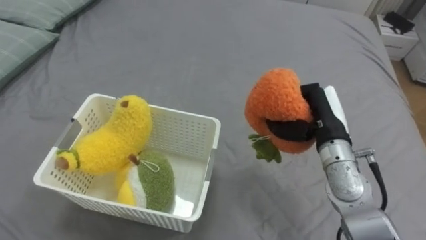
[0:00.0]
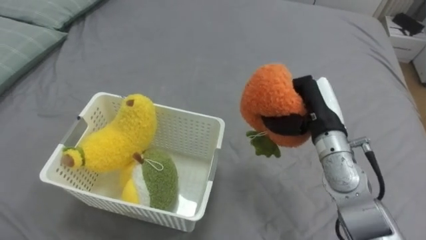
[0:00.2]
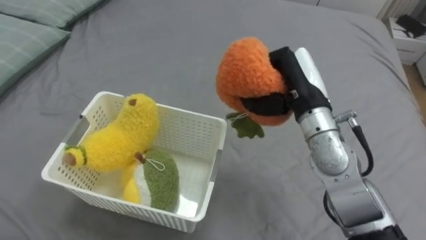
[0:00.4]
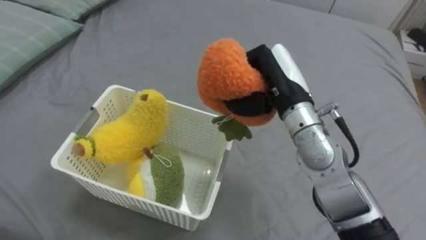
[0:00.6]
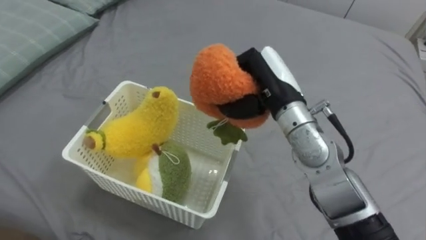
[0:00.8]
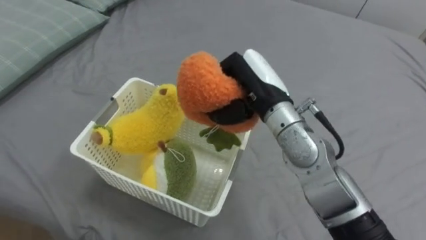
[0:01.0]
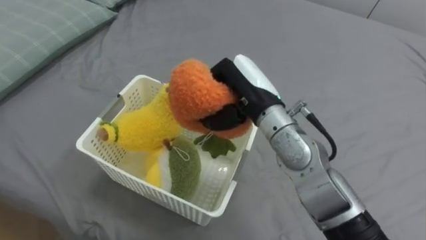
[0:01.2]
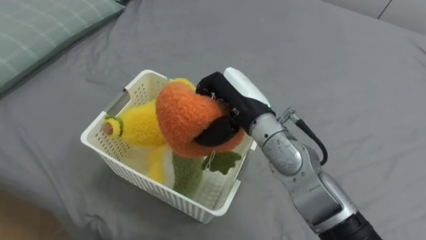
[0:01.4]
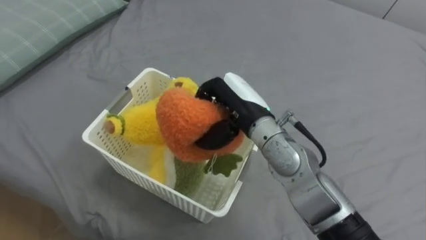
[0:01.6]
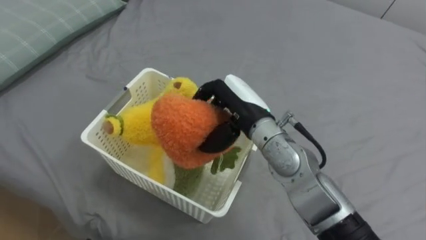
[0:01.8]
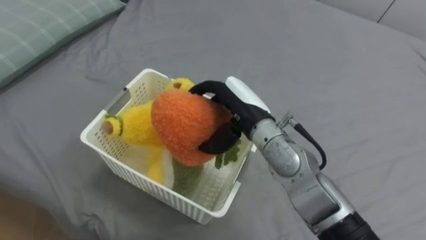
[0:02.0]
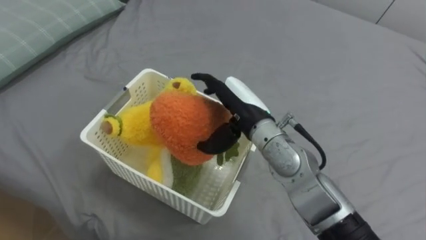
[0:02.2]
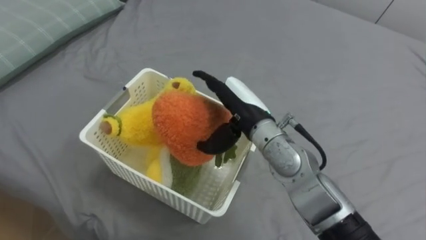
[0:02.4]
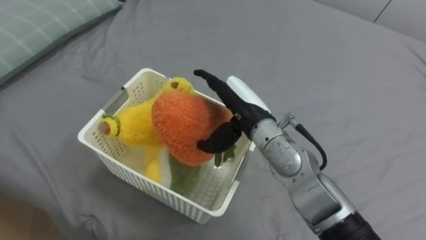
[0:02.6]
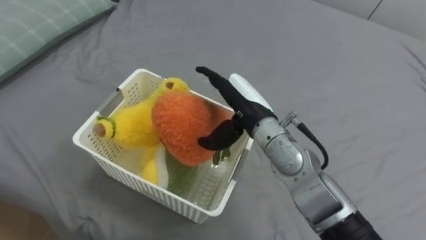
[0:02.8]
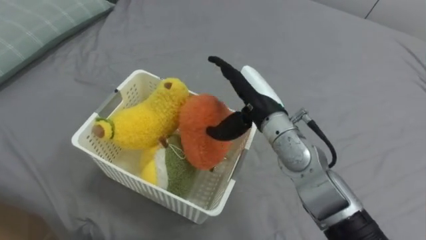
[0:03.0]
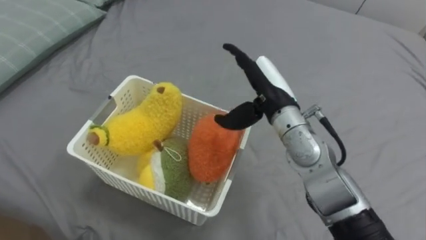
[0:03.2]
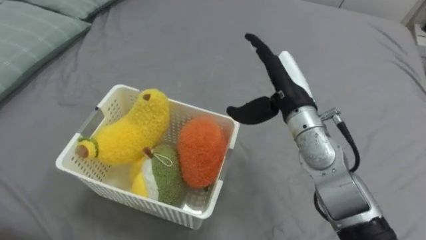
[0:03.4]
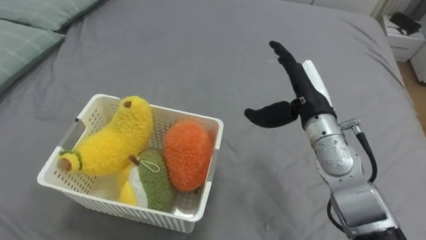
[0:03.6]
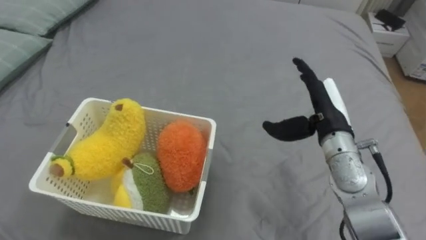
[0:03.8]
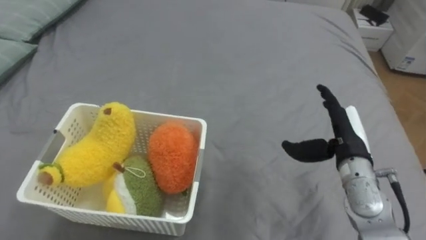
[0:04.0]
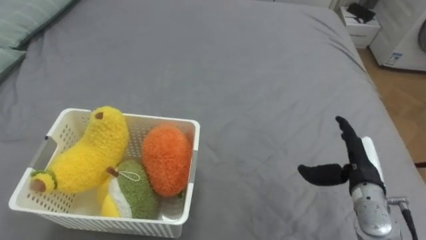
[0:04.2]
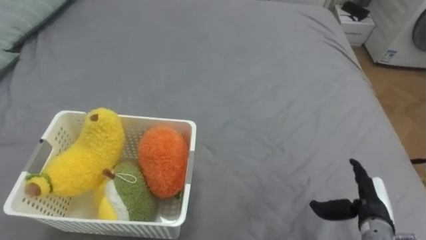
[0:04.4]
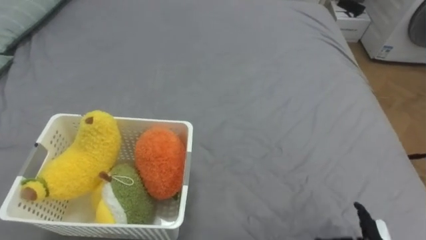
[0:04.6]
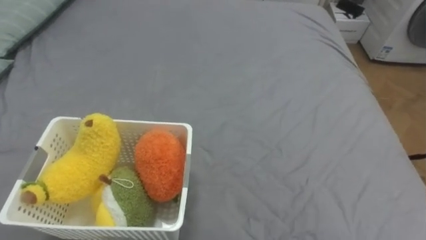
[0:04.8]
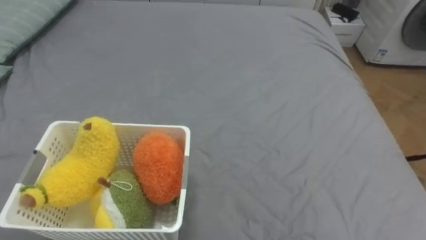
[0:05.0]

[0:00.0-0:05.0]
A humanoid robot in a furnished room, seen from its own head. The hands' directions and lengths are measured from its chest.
Task of the whole recording: Put the toys on the bed into the basket on the left.
0:00.0 to 0:01.6: The right hand travels to the left by approximately 15 cm.
0:01.6 to 0:03.4: The right hand is displaced to the right by some 5 cm, and opens up.

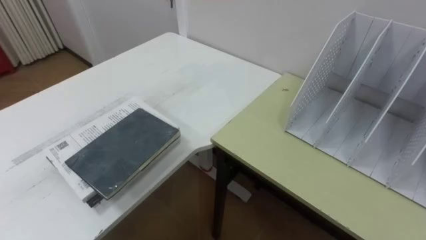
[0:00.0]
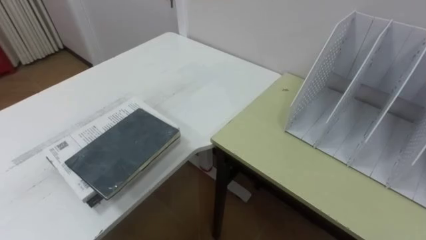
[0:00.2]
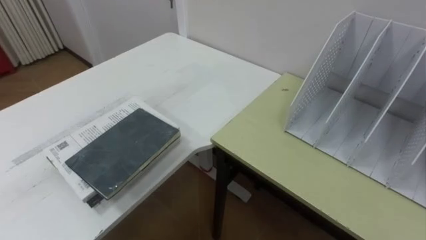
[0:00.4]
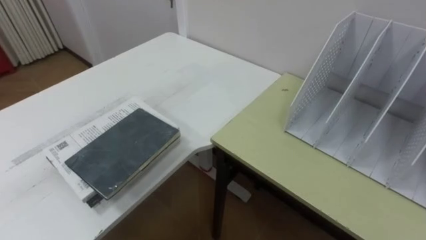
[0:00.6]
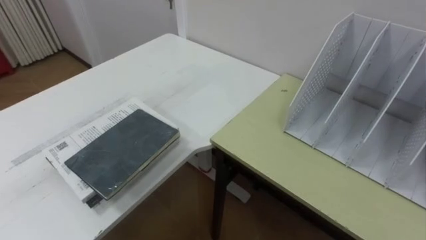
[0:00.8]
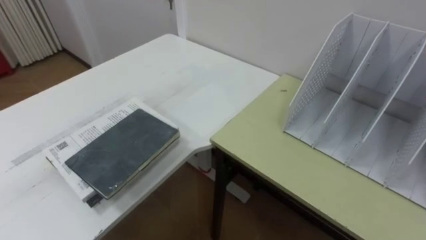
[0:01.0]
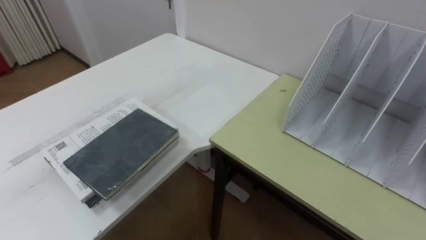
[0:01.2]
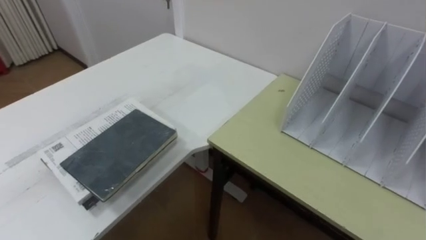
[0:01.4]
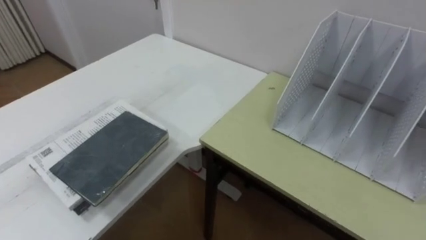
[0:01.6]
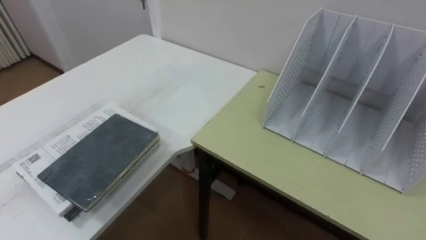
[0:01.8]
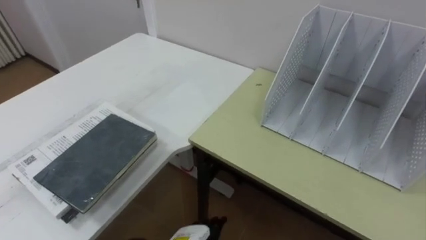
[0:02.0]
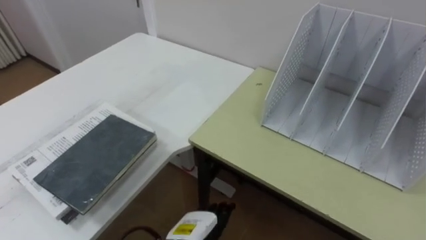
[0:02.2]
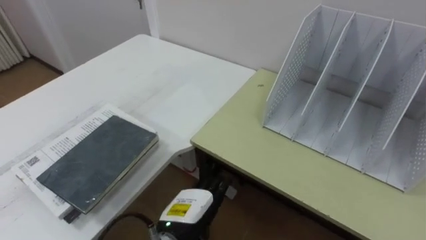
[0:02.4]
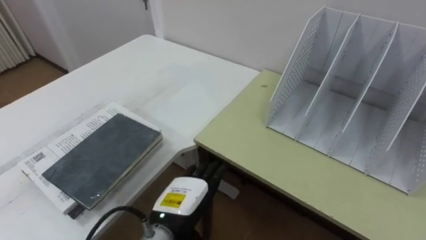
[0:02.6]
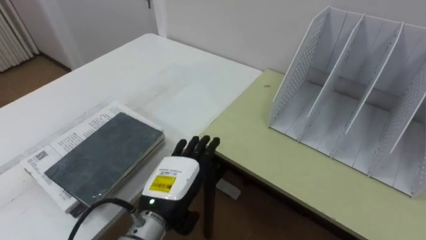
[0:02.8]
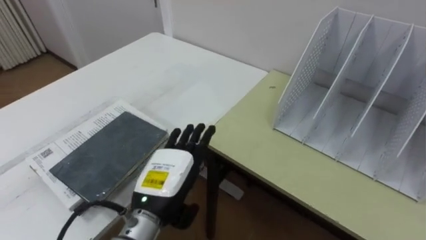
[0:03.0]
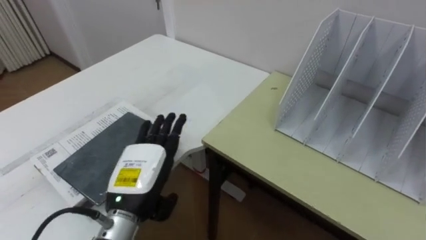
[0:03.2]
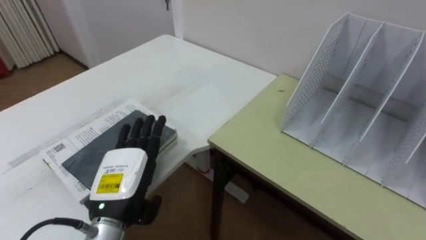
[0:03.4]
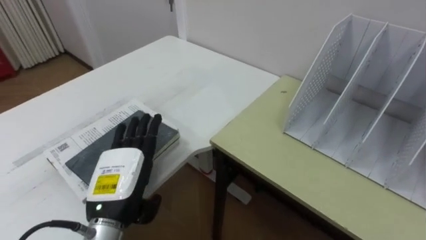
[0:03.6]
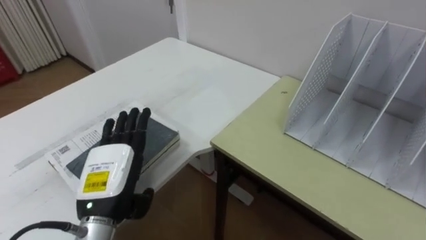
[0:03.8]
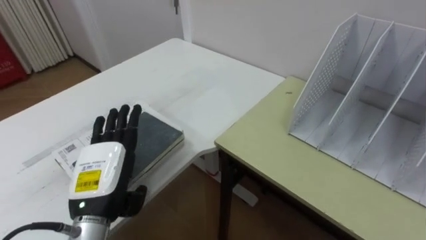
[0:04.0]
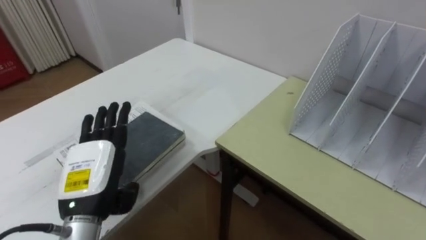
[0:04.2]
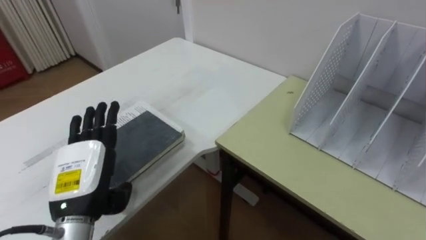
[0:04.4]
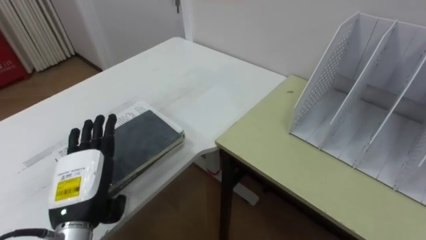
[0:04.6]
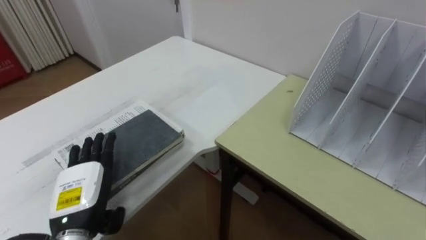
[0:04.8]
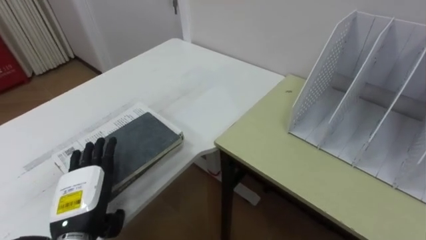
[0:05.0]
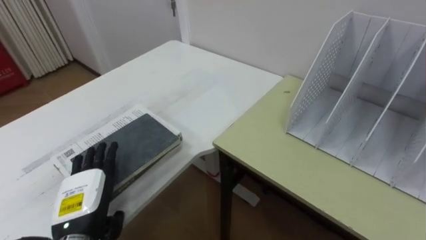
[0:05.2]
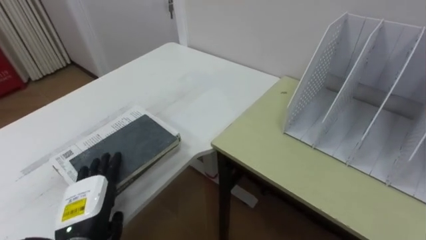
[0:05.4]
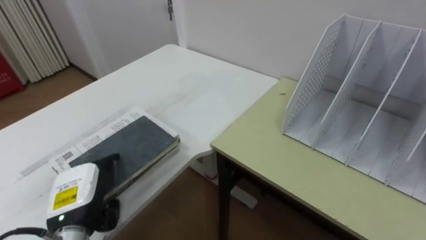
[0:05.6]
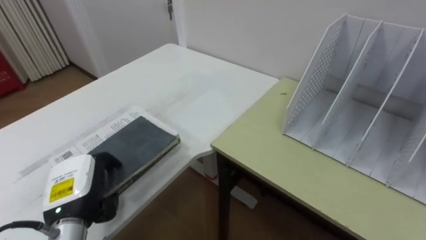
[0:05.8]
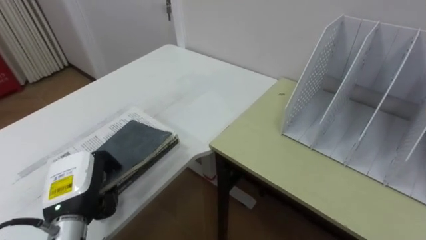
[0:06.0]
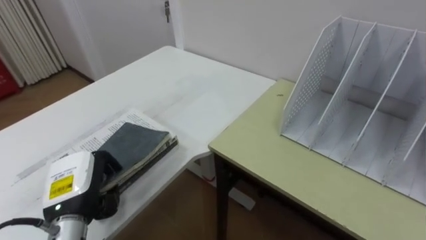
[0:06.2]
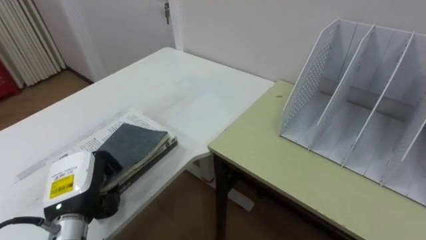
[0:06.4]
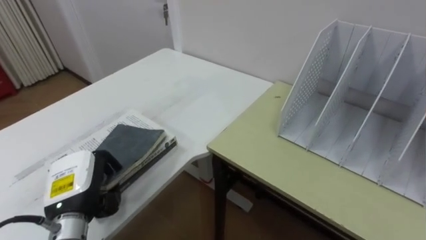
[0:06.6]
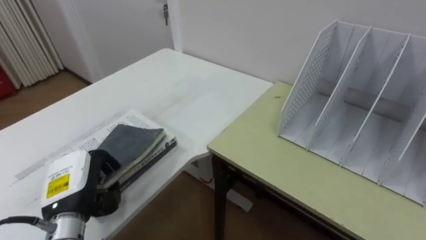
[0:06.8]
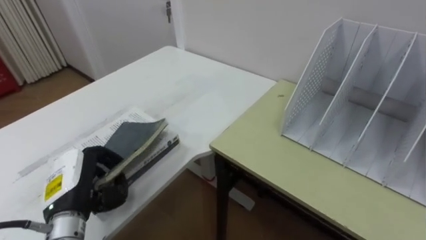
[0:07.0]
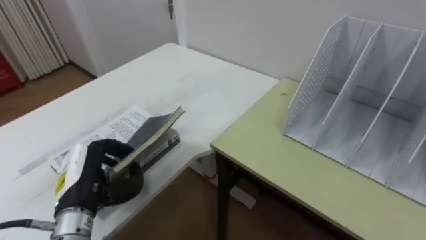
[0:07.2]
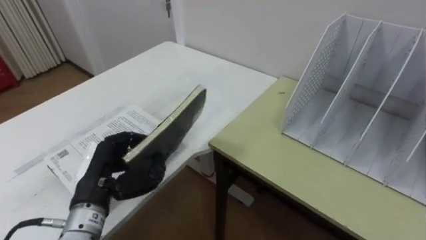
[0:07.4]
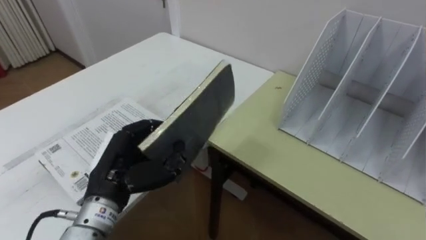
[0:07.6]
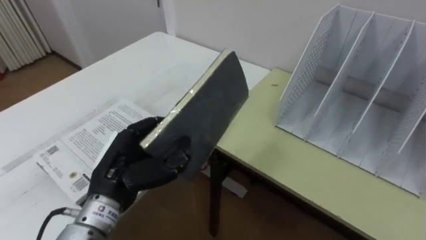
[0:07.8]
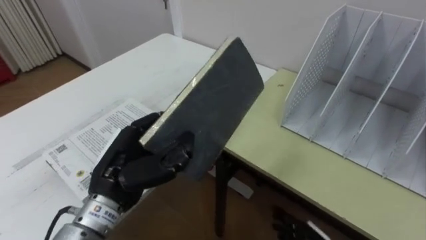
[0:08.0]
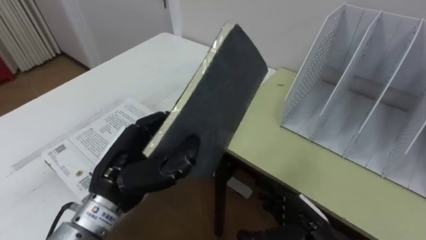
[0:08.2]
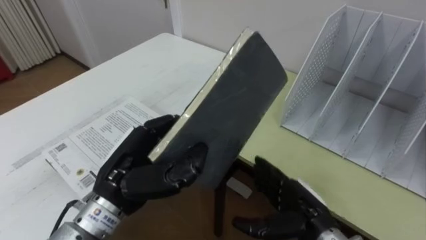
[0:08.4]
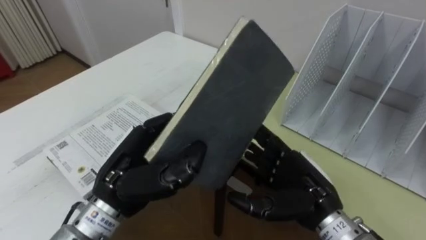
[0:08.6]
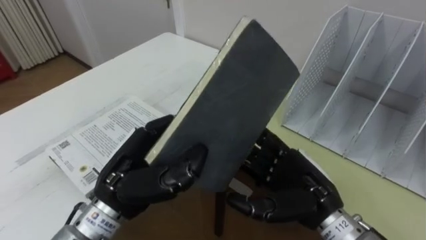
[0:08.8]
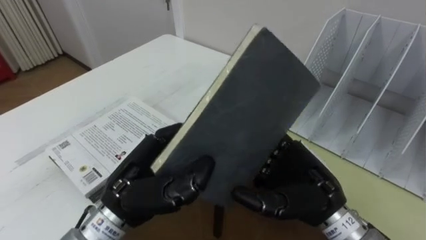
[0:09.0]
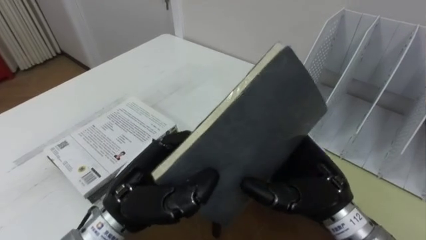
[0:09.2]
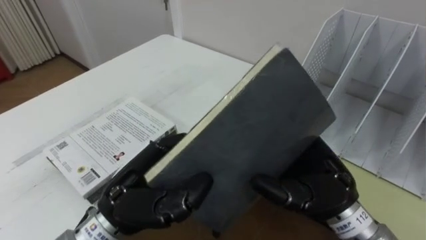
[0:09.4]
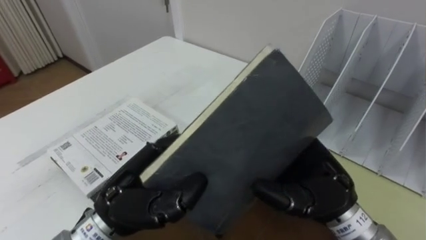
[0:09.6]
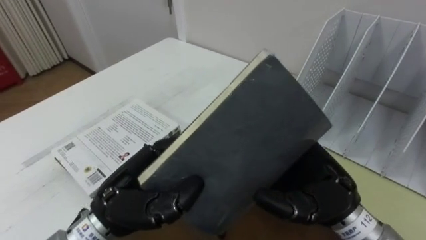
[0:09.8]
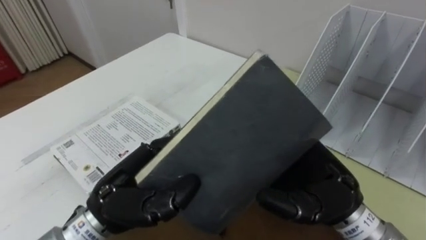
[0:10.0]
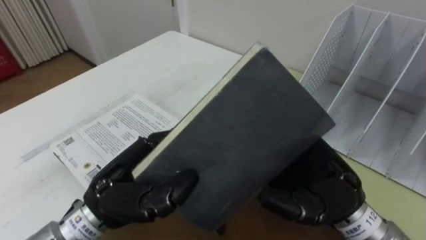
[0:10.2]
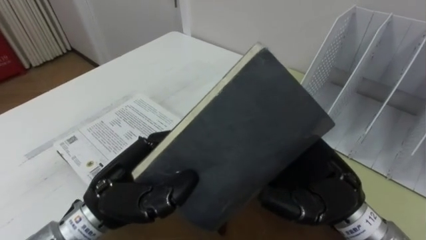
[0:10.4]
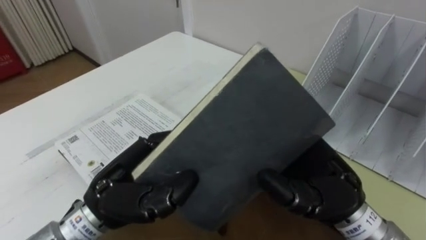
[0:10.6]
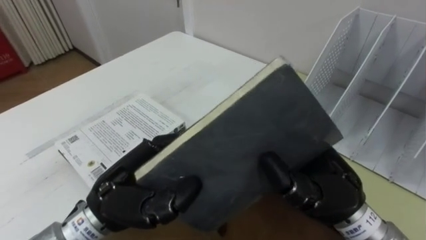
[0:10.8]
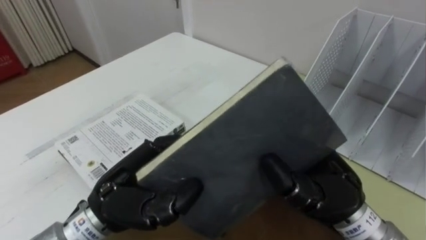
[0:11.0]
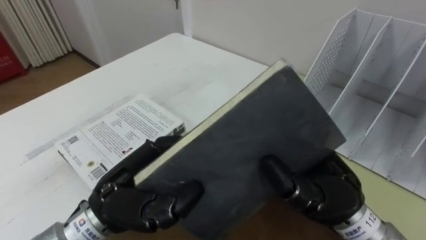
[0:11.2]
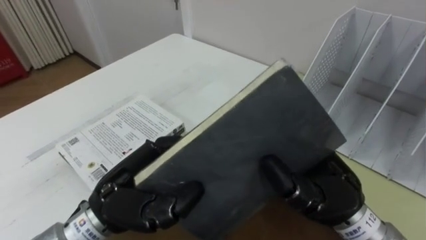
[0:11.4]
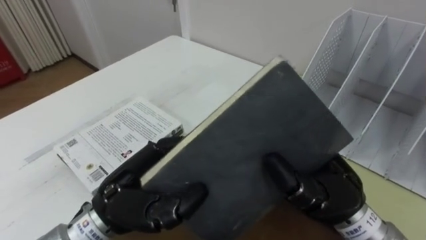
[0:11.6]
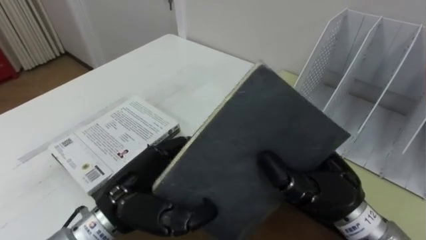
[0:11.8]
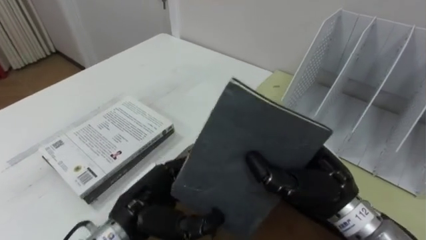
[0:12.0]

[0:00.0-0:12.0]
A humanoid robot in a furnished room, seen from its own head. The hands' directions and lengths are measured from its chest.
Task of the whole recording: Put the books on the table onto the bookshelf.
0:03.0 to 0:04.4: The left hand goes about 10 cm to the left.
0:04.4 to 0:06.0: The left hand closes up.
0:06.0 to 0:07.6: The left hand shifts approximately 10 cm to the right and upward.
0:07.6 to 0:09.0: The left hand goes about 5 cm to the right.
0:09.0 to 0:10.4: There are only small adjustments of the hands.
0:10.4 to 0:12.0: The right hand closes, while the left hand shifts some 5 cm downward.
